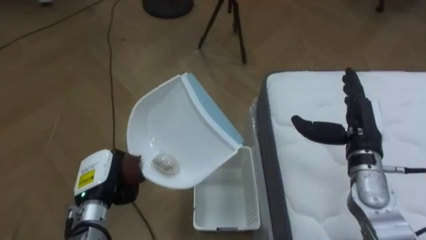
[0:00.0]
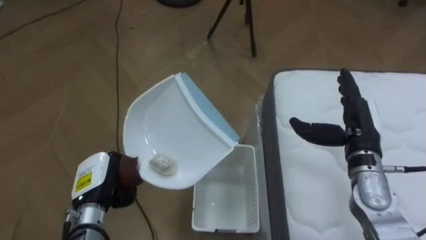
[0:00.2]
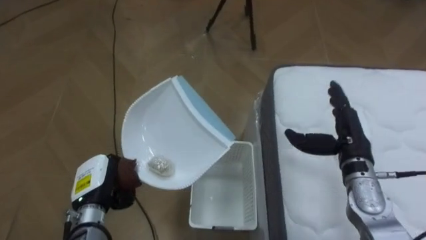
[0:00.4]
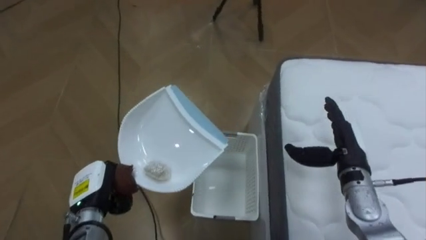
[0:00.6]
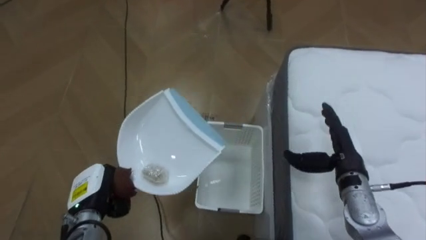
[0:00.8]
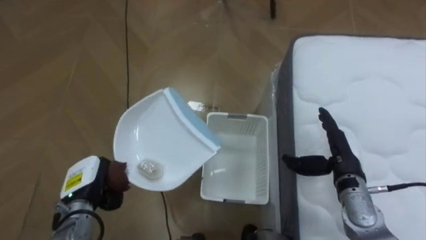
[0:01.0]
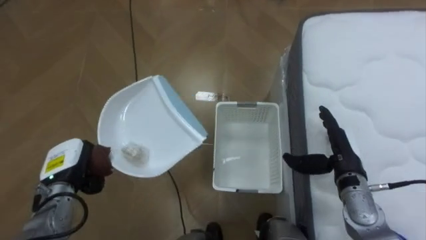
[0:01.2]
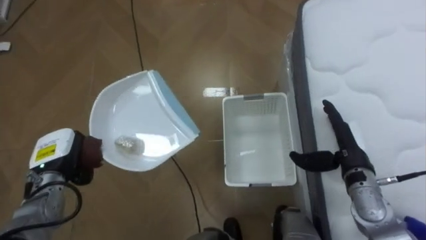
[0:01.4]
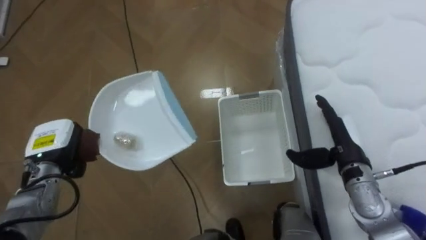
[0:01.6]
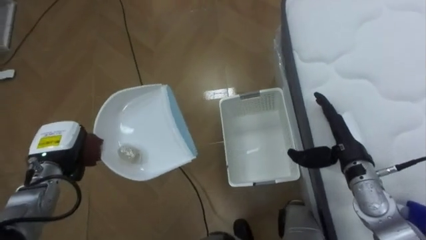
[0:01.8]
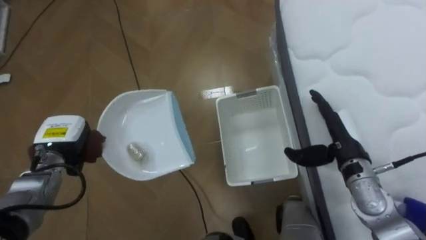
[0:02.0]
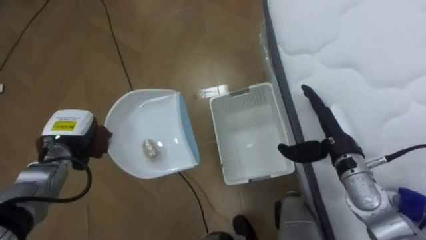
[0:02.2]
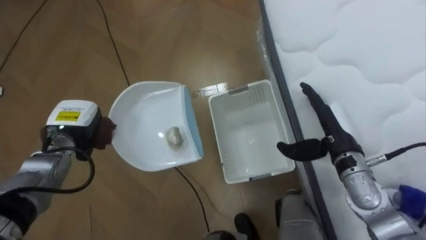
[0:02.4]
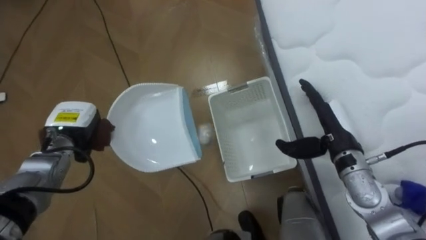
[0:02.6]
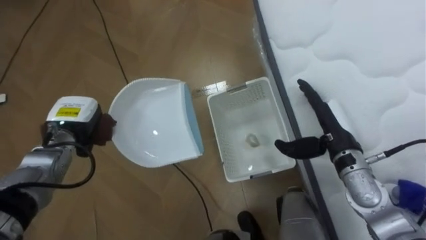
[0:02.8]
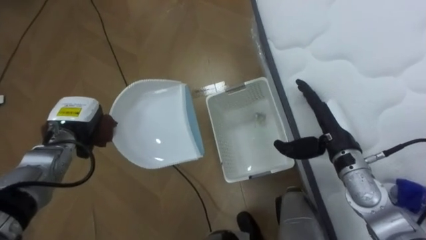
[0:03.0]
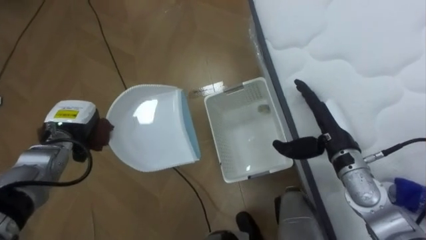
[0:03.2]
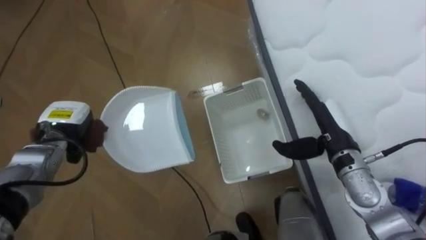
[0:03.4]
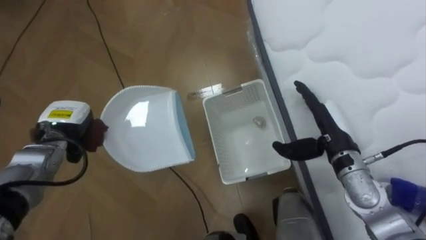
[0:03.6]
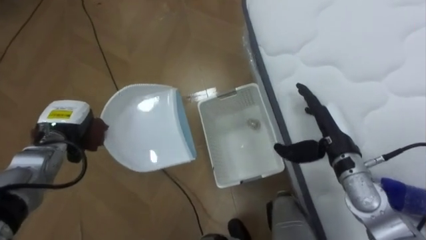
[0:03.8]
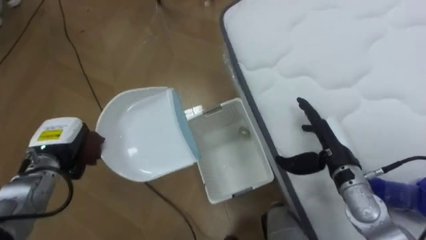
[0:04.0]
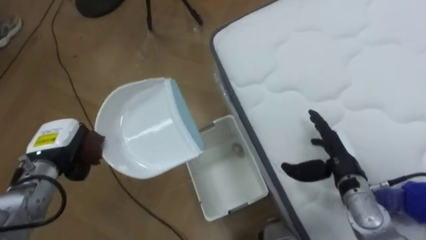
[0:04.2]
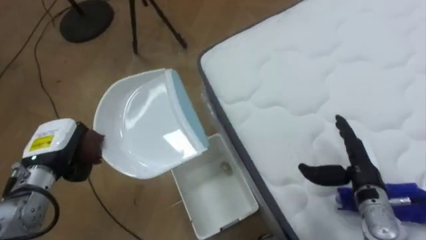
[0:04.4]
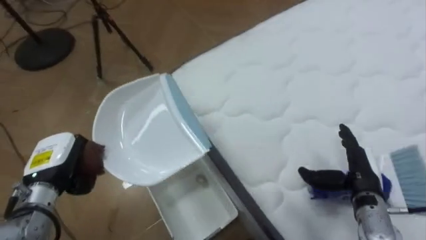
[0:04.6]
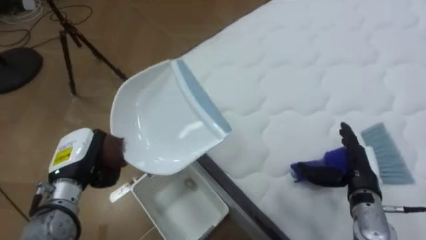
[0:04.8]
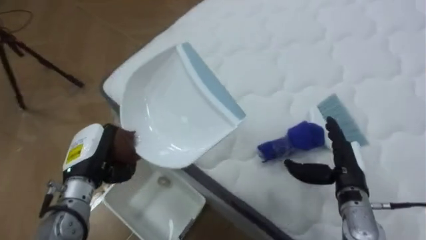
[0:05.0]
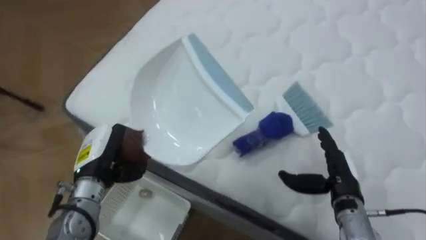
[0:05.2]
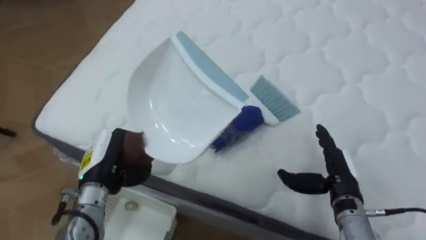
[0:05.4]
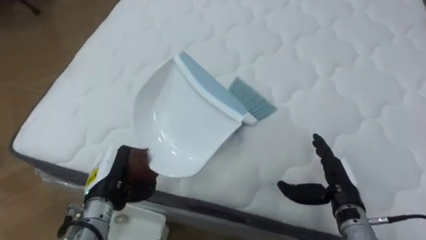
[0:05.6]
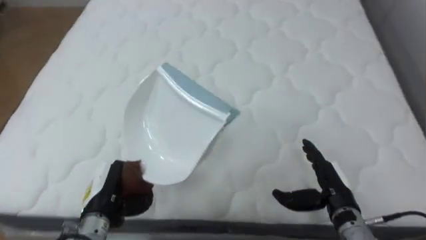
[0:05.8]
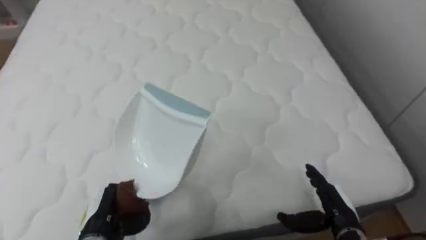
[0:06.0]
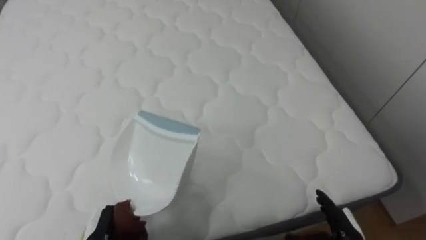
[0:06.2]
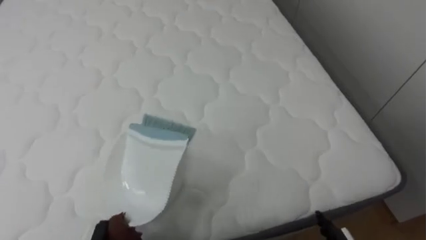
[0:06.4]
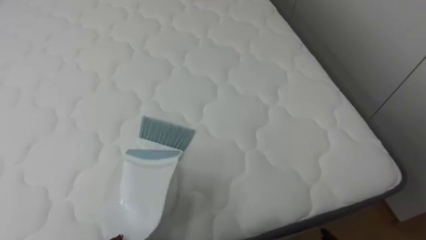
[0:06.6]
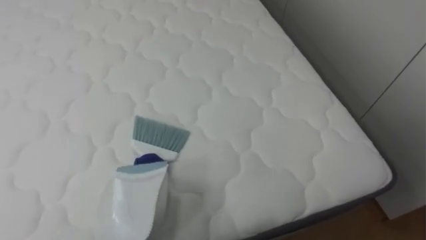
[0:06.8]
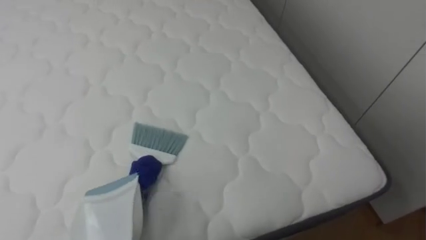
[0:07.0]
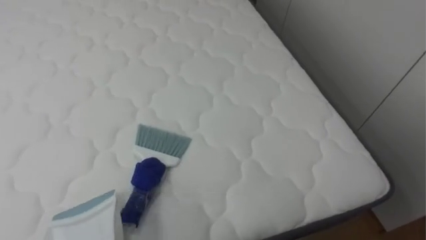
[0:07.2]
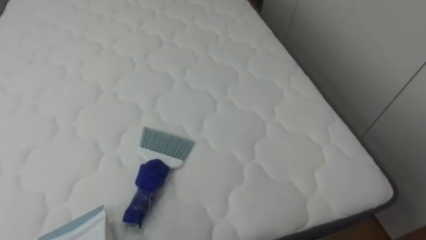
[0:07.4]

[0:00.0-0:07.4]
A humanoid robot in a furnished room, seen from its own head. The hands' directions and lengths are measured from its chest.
Task of the whole recording: Pick up the brush on your right and the dustpan on your left. Use the brush to sweep the crumpled paper on the bed into the dustpan, then turn left and empty it into the basket.
0:00.0 to 0:01.4: The left hand travels to the left by roughly 10 cm. The right hand moves downward, roughly 5 cm.
0:01.4 to 0:03.0: The left hand moves forward, about 5 cm; the right hand shifts by about 5 cm.
0:03.0 to 0:04.4: The robot faces some 25 degrees further to its right. The left hand shifts approximately 5 cm backward, while the right hand goes roughly 5 cm to the right.
0:04.4 to 0:06.0: The robot rotates roughly 85 degrees to its right. The left hand travels downward, backward and to the right by about 15 cm; the right hand heads downward and backward, covering approximately 10 cm.

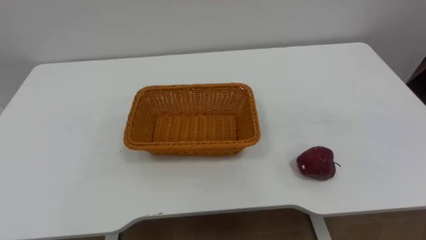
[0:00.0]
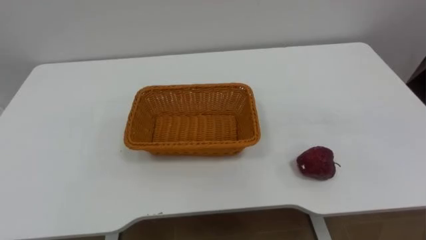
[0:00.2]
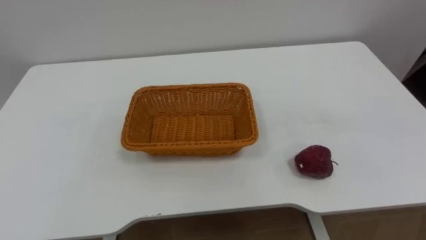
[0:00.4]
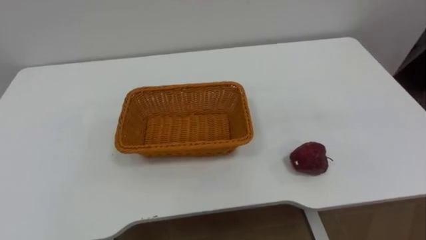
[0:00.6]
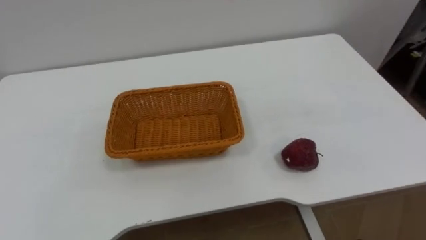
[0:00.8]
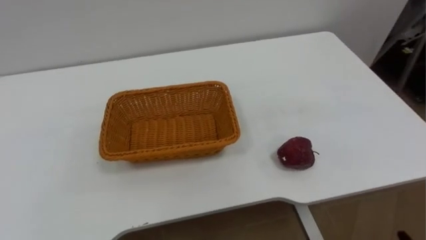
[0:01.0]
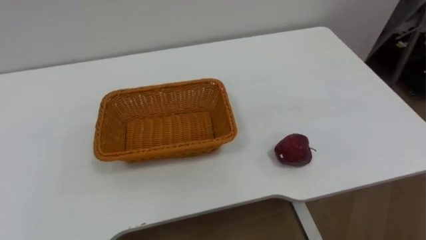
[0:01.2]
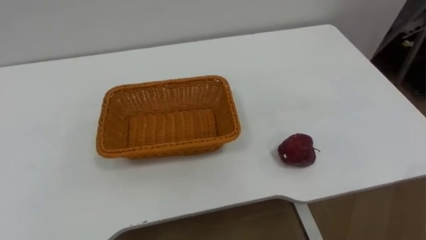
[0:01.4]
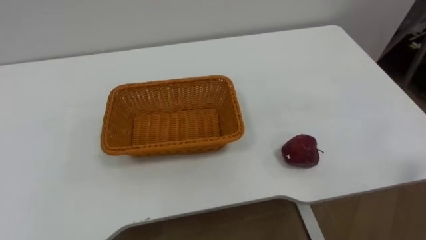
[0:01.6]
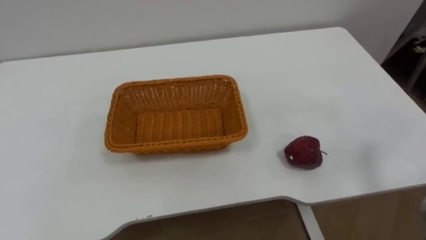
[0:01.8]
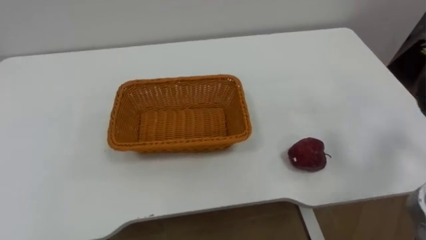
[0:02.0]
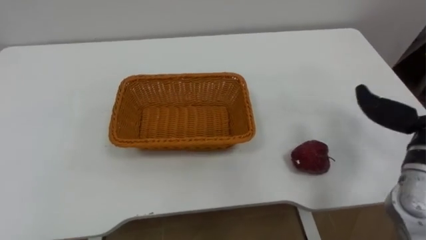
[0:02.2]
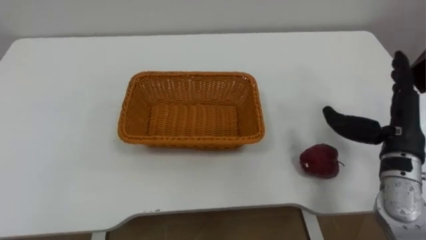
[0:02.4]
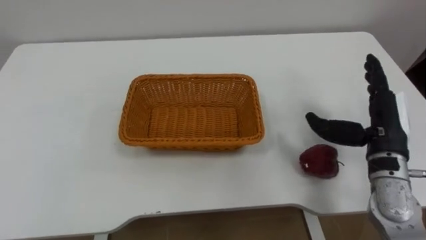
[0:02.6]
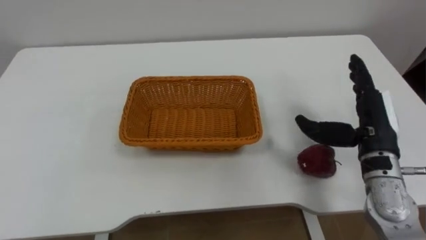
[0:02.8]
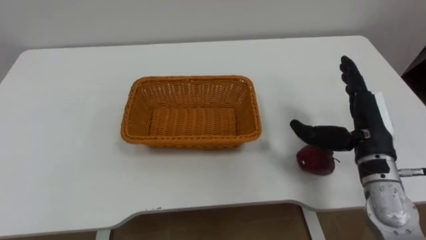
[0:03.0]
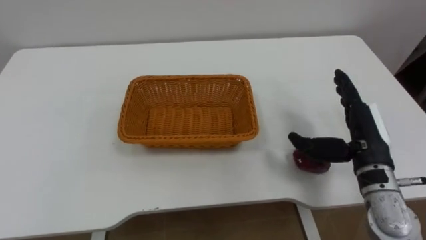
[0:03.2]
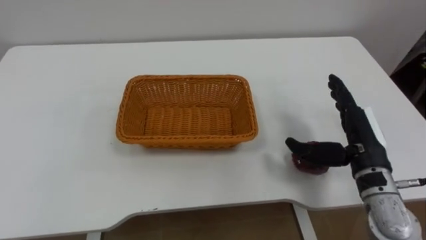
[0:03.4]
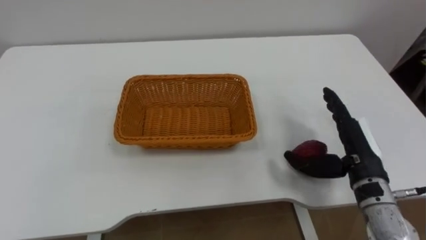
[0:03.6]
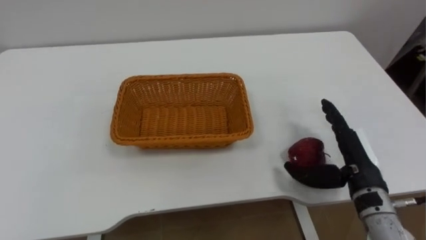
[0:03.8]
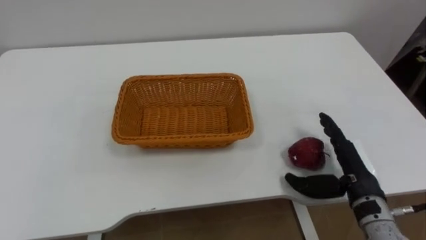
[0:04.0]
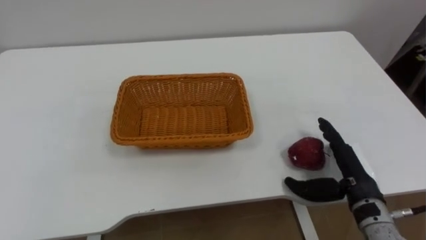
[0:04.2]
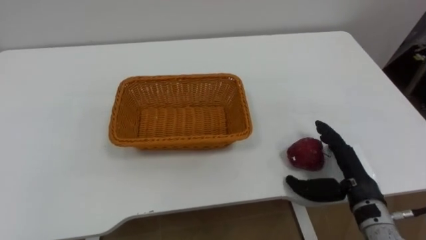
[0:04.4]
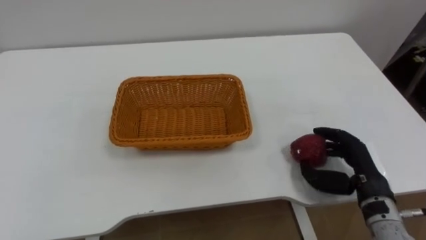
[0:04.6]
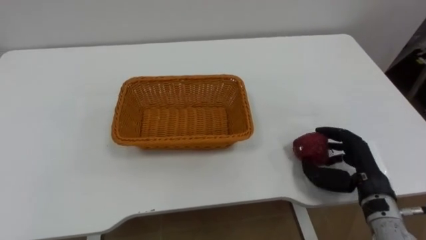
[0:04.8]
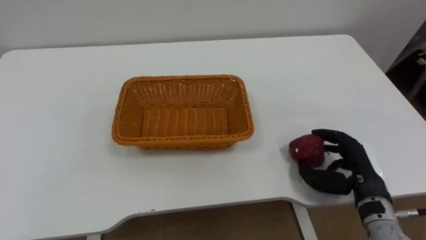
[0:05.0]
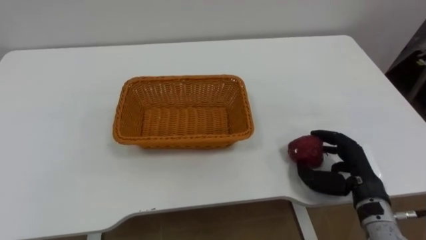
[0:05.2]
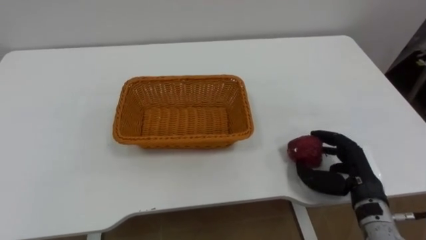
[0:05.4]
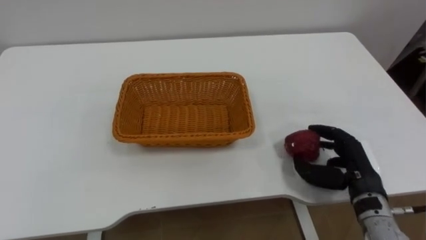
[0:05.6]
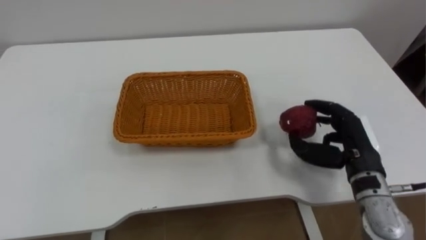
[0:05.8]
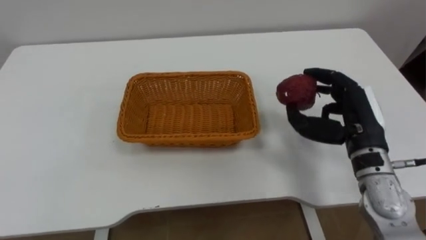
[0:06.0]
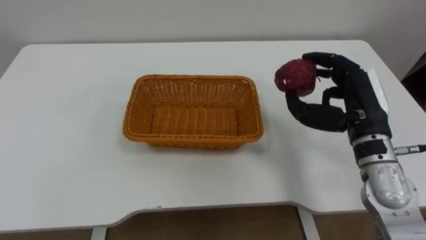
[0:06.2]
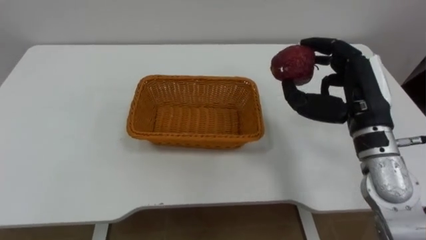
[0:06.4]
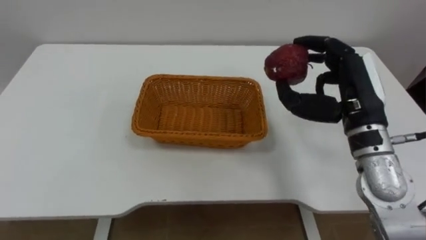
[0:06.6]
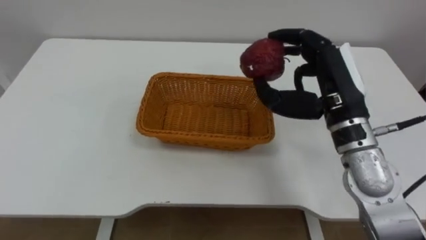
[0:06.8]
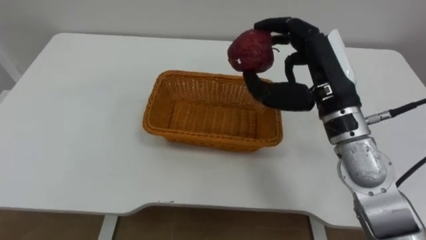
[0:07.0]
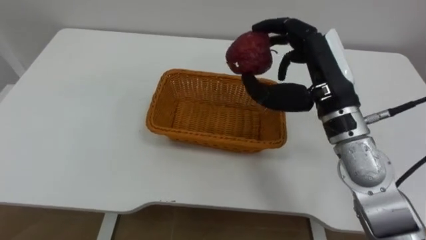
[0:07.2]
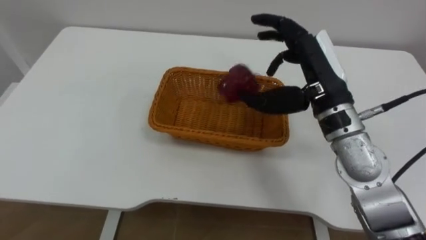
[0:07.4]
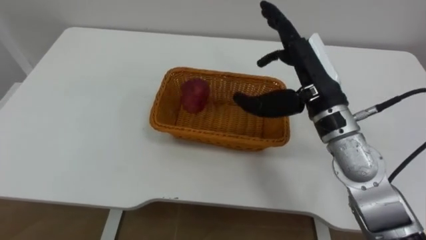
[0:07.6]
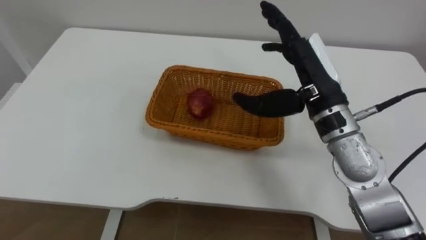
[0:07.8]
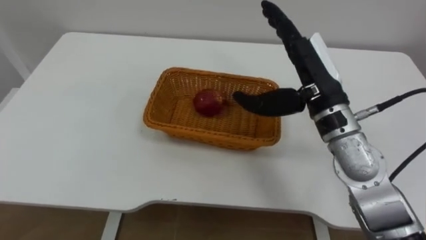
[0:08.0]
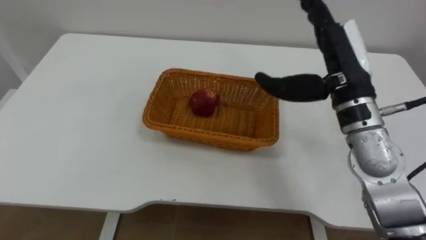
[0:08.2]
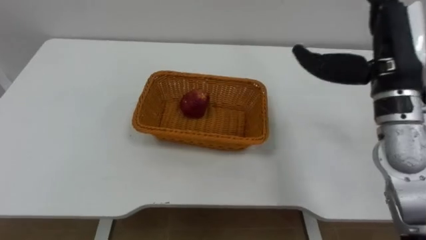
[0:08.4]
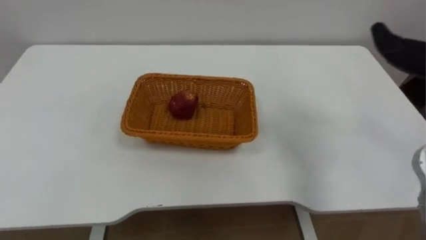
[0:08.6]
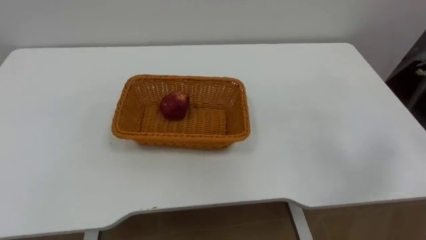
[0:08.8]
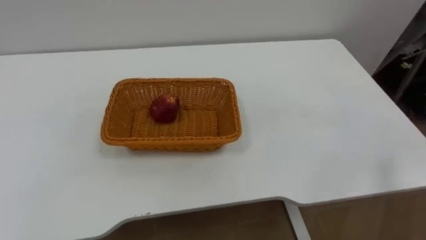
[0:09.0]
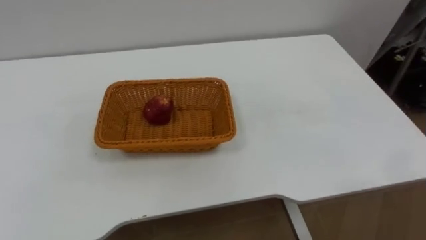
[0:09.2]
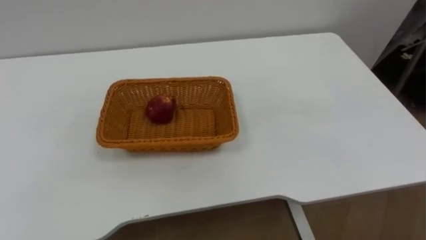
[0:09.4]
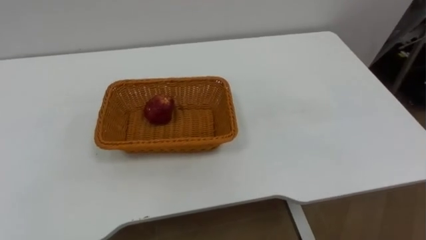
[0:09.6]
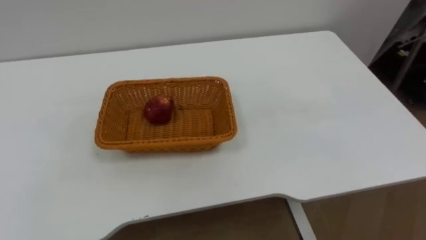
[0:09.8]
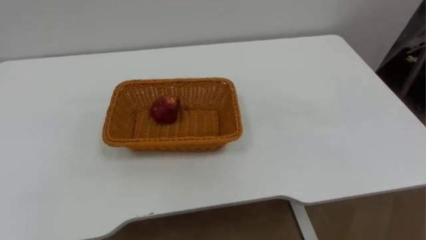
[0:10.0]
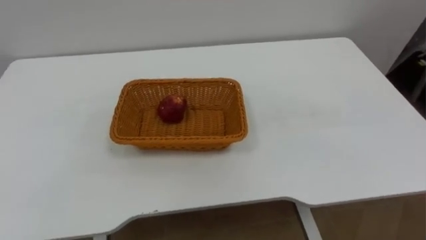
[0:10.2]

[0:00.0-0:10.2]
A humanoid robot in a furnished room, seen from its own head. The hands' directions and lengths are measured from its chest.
Task of the whole recording: Pick the apple and place it in the box.
0:03.0 to 0:04.4: The right hand is displaced downward and backward by approximately 10 cm.
0:04.4 to 0:05.8: The right hand changes place by about 5 cm, and closes its fingers.
0:05.8 to 0:07.2: The right hand moves upward and to the left, approximately 15 cm.
